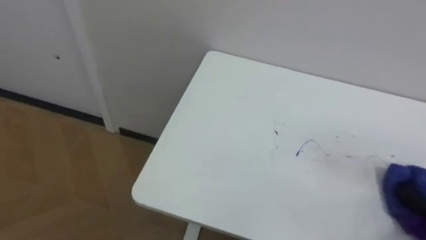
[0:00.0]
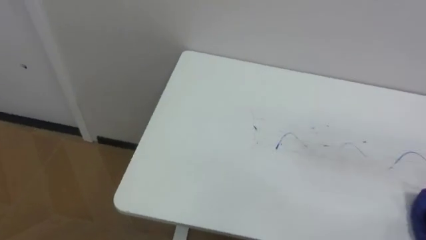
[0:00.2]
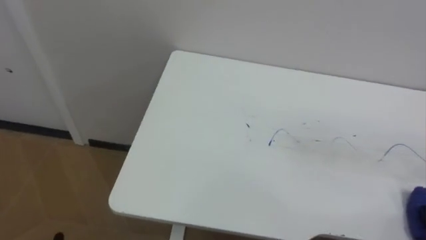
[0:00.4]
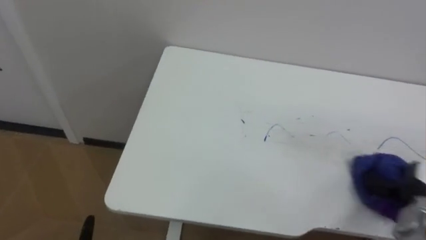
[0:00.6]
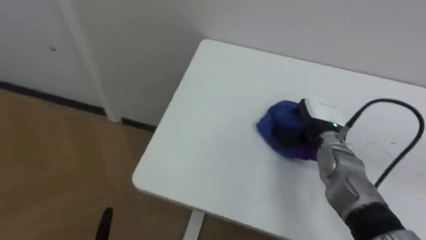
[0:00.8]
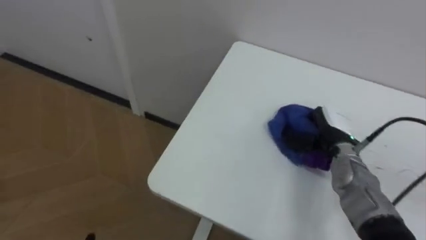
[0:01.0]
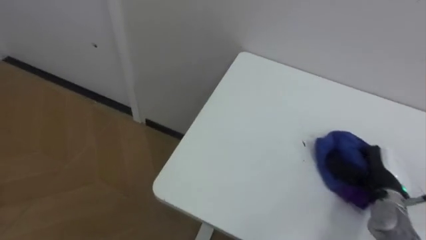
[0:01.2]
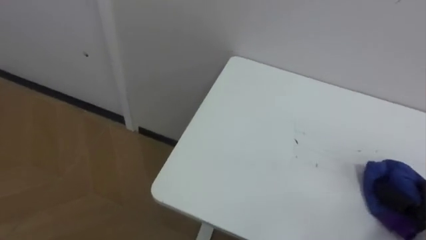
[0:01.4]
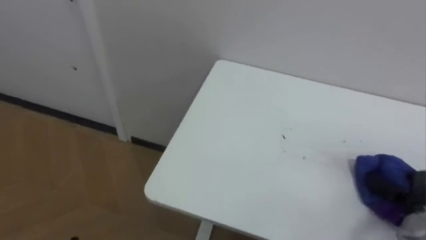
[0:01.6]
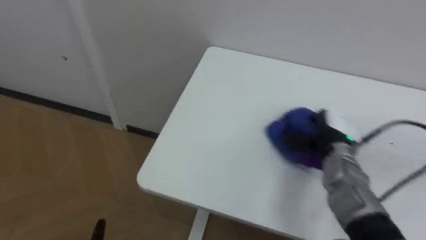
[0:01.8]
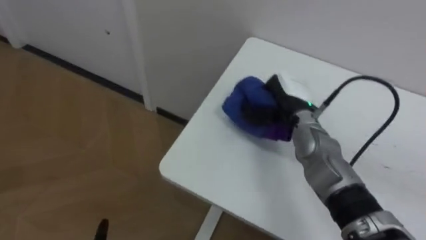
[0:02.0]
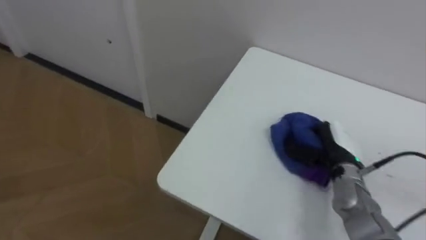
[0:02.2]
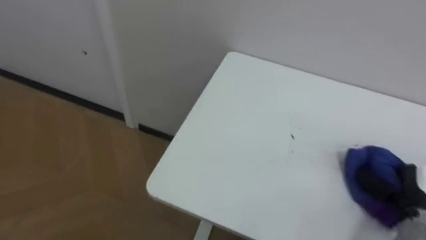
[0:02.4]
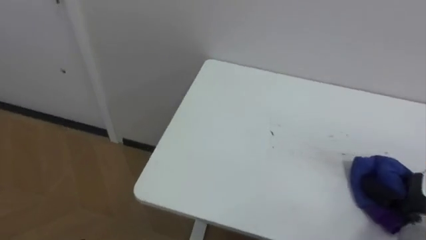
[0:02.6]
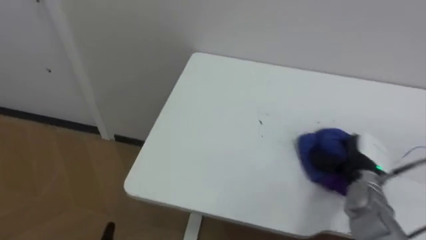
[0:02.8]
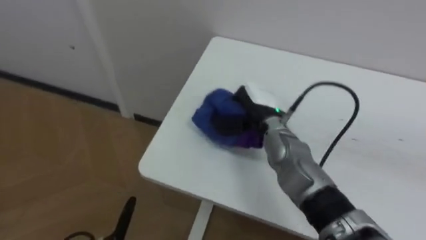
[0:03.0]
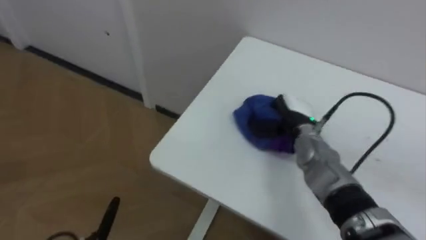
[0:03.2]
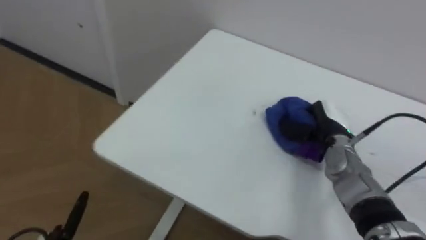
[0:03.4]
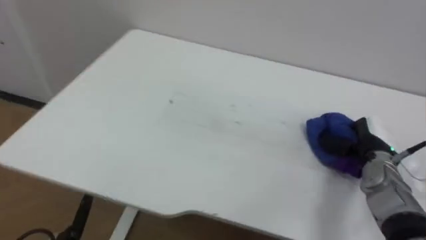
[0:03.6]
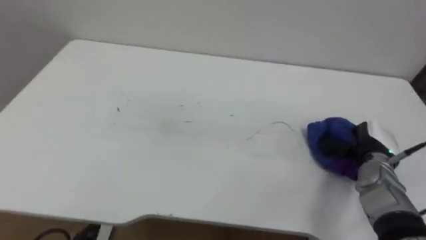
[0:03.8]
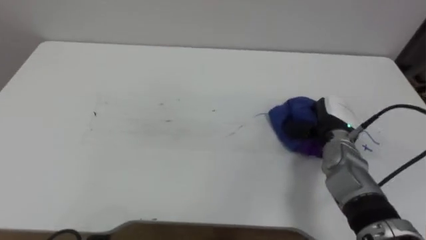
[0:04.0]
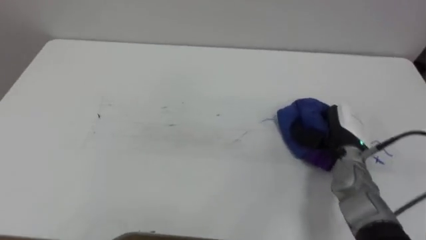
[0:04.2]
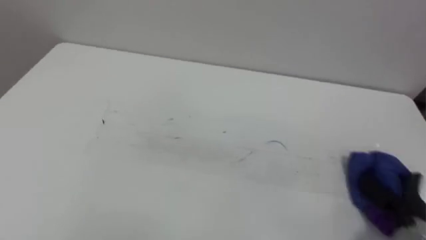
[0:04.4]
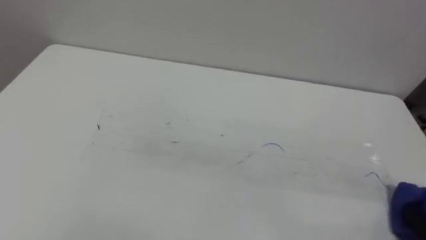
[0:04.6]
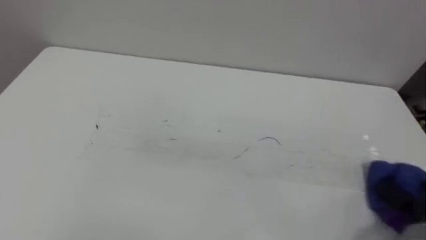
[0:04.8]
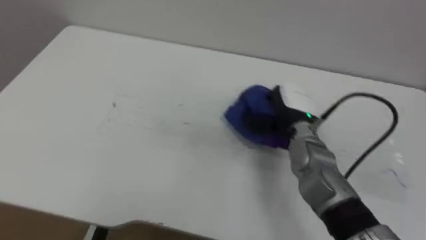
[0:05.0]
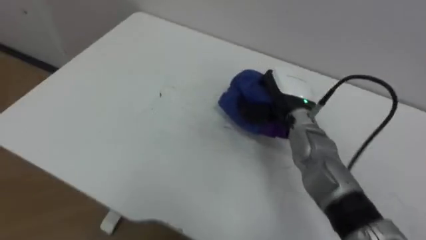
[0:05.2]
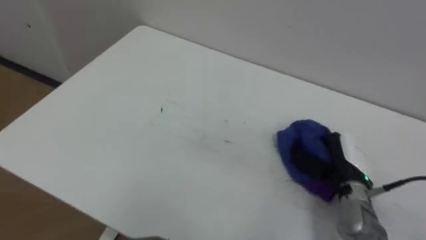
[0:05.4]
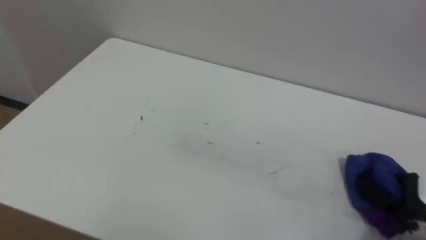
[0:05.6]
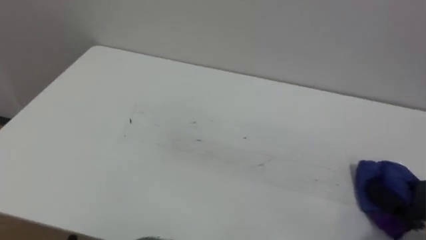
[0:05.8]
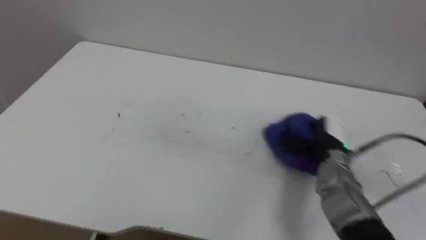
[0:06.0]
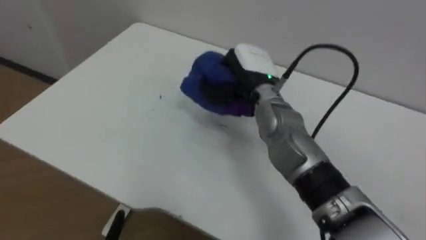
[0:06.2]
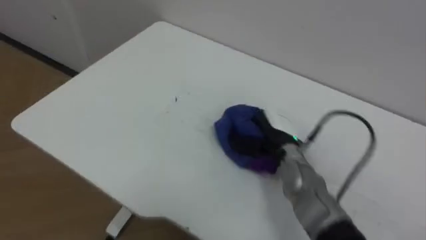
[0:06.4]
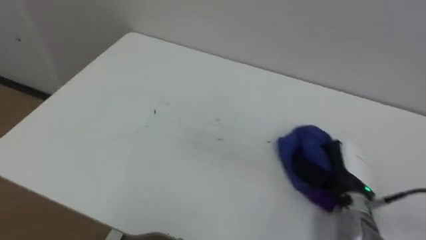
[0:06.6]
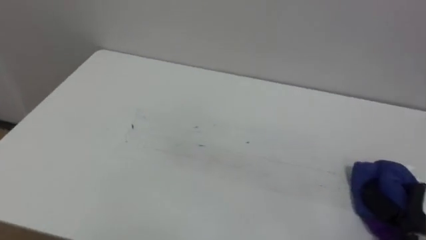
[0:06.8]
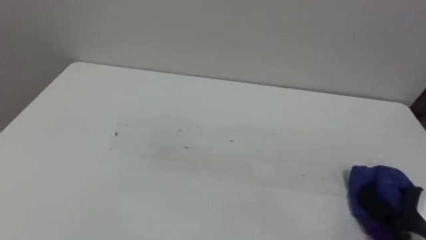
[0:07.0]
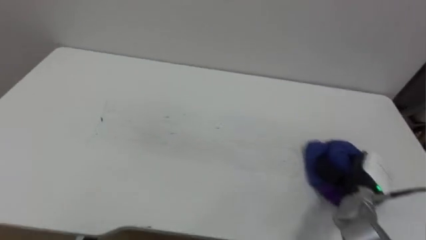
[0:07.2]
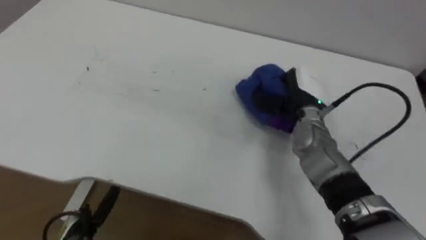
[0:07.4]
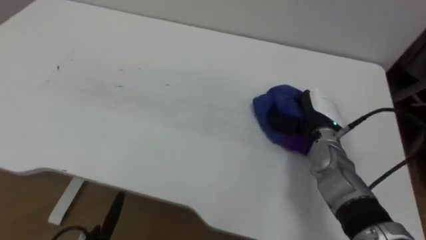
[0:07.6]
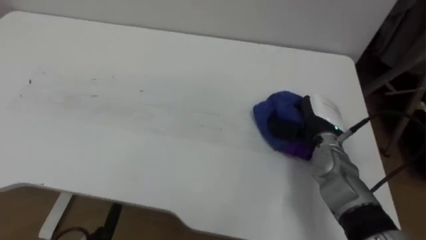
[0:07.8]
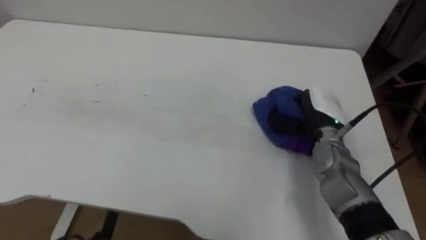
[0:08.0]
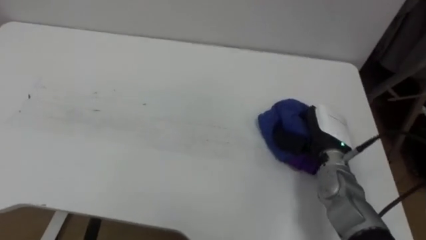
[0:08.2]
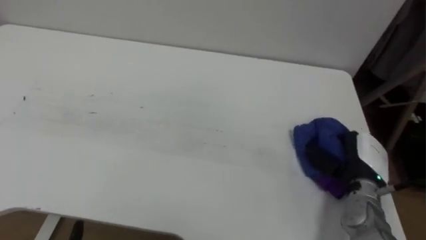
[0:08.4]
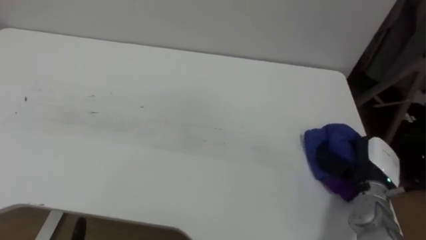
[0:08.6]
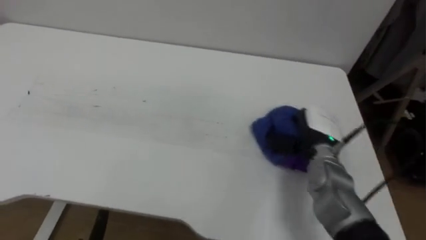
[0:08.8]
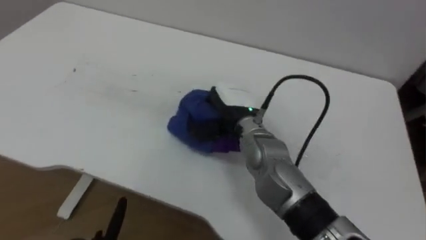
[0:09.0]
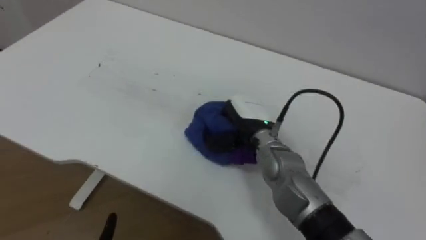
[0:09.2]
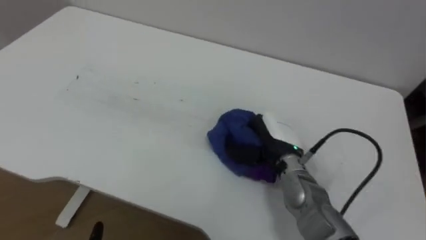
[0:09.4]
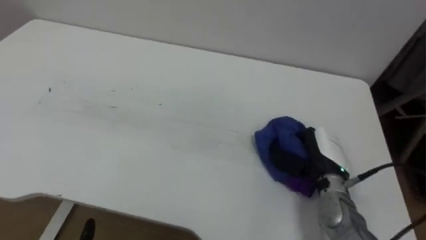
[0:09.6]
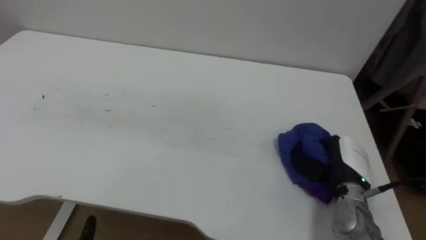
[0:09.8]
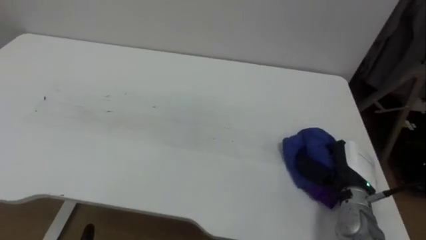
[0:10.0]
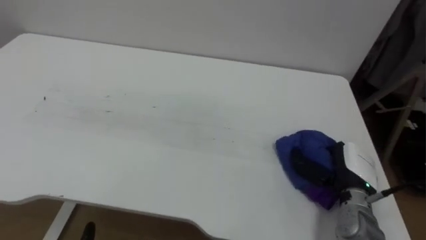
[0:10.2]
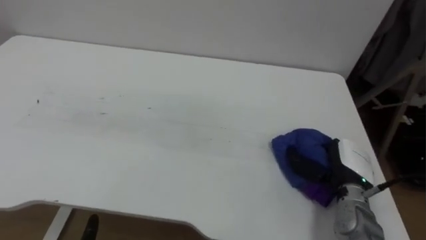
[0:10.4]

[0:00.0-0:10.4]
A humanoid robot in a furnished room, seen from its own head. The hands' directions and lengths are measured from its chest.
Task of the whole recording: Wipe the blue pen marks off the table with the rag.
0:01.4 to 0:03.0: The right hand moves left and right over approximately 30 cm, changing direction 2 times.
0:03.0 to 0:04.4: The right hand moves left and right over about 30 cm, changing direction 2 times.
0:06.0 to 0:07.4: The right hand goes left and right, approximately 30 cm each way, reversing 2 times.
0:07.4 to 0:09.0: The right hand goes some 15 cm to the left.
0:09.0 to 0:10.4: The right hand shifts approximately 25 cm to the right and downward.

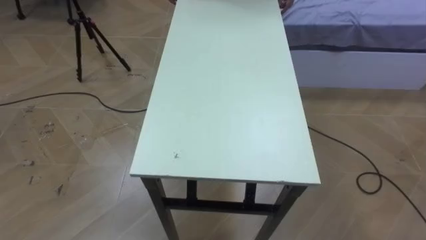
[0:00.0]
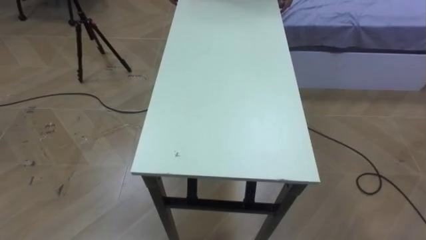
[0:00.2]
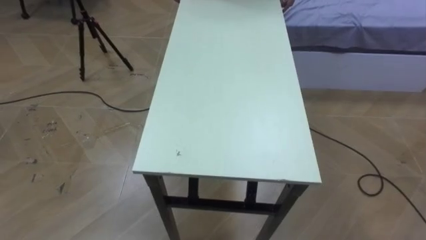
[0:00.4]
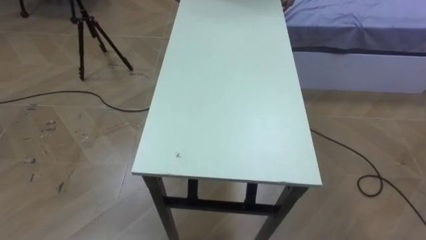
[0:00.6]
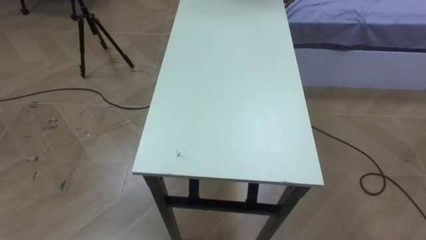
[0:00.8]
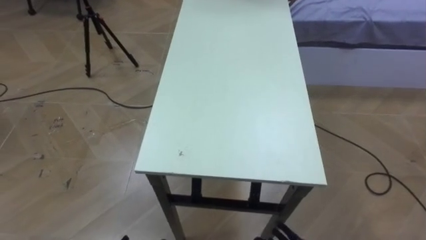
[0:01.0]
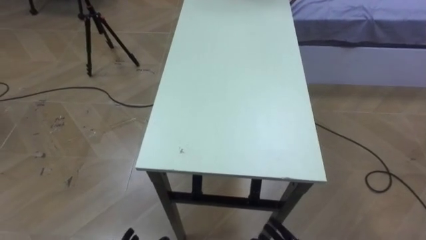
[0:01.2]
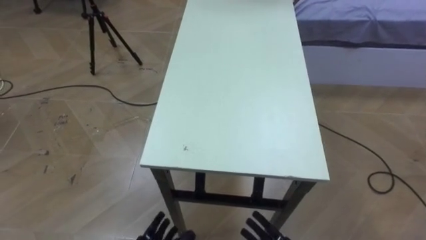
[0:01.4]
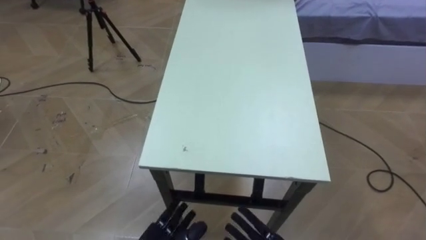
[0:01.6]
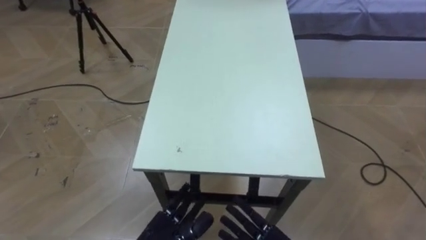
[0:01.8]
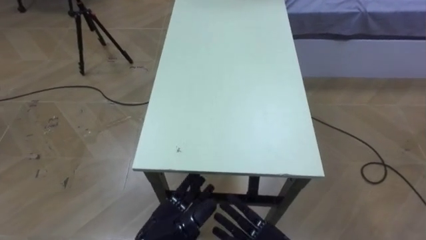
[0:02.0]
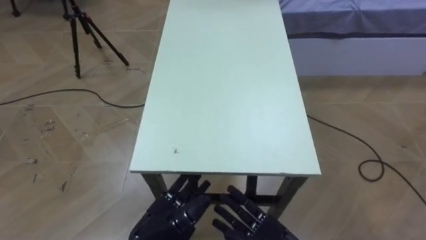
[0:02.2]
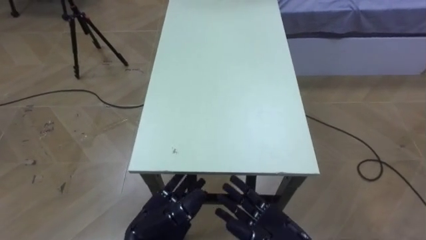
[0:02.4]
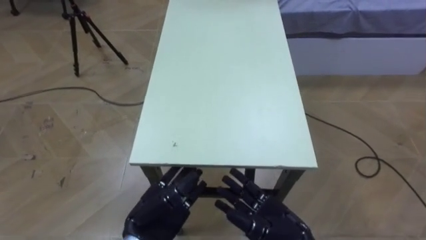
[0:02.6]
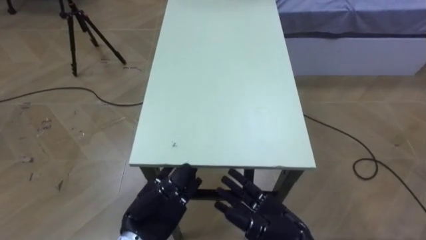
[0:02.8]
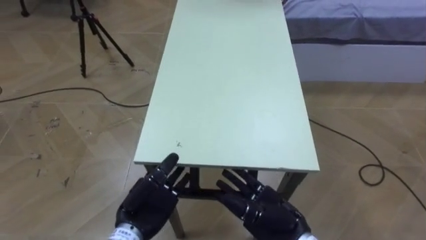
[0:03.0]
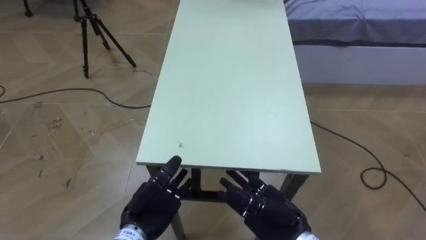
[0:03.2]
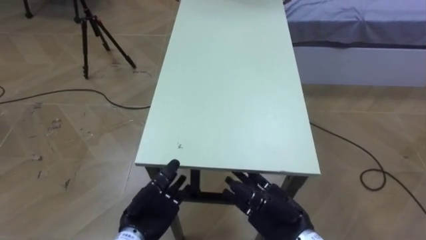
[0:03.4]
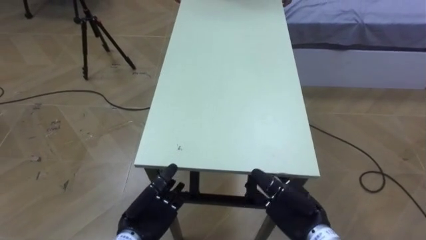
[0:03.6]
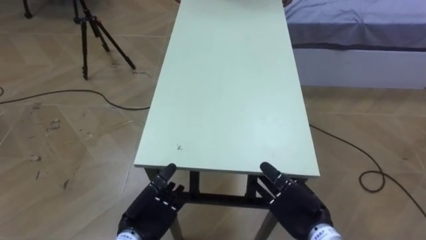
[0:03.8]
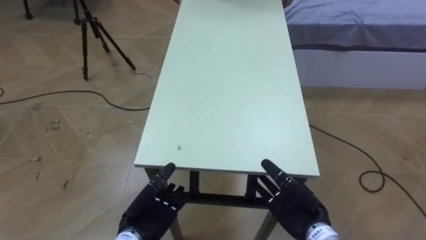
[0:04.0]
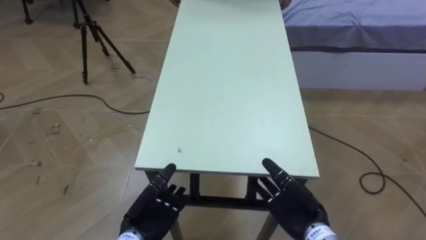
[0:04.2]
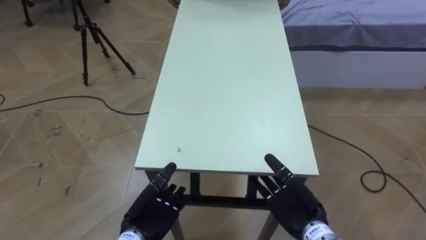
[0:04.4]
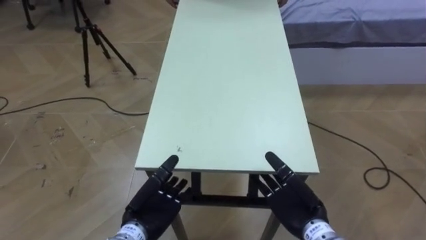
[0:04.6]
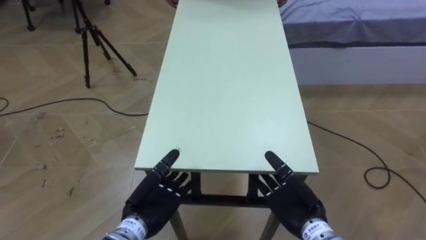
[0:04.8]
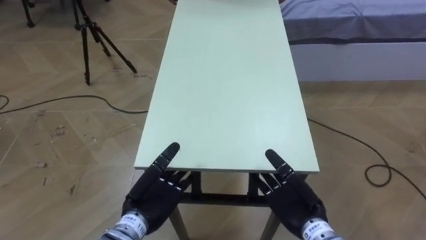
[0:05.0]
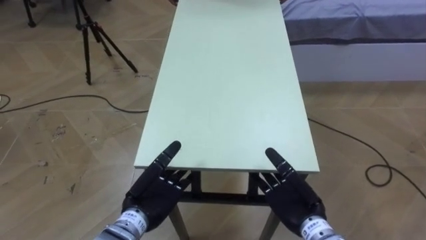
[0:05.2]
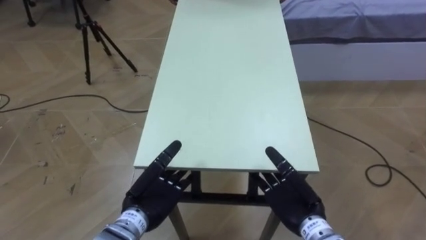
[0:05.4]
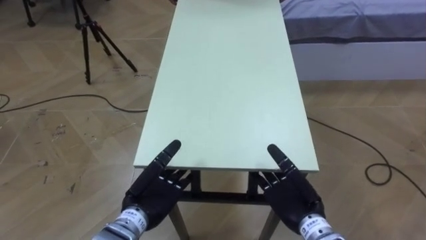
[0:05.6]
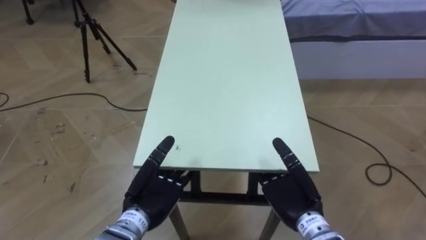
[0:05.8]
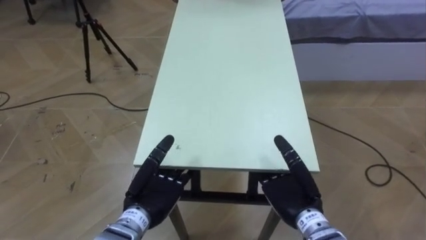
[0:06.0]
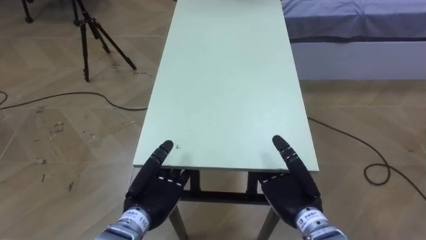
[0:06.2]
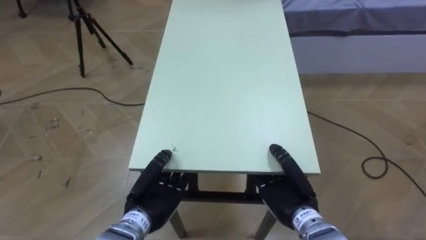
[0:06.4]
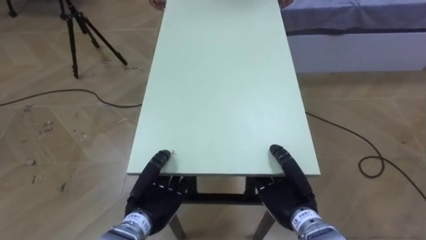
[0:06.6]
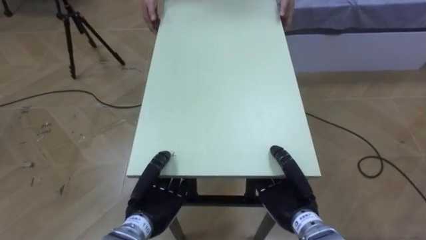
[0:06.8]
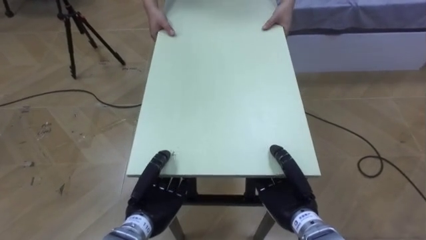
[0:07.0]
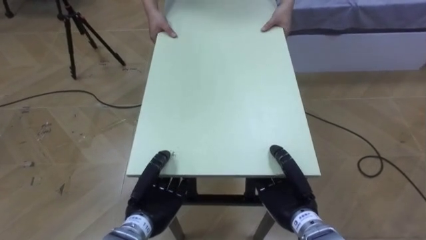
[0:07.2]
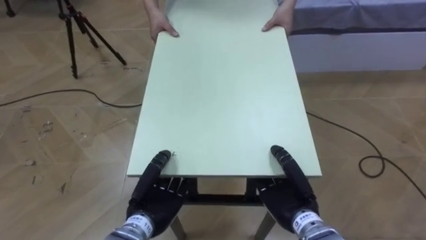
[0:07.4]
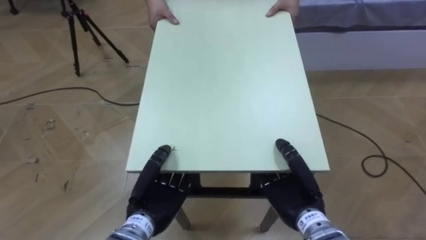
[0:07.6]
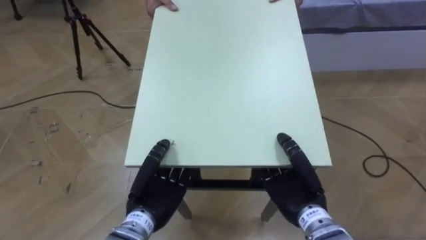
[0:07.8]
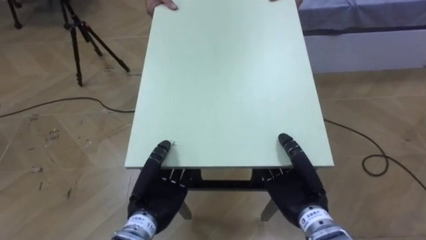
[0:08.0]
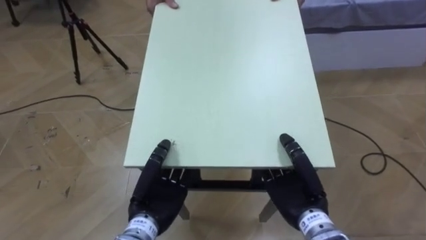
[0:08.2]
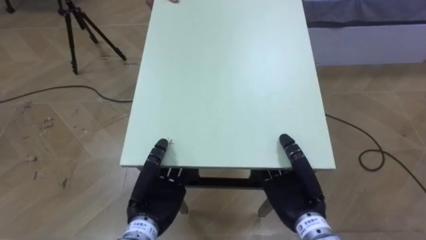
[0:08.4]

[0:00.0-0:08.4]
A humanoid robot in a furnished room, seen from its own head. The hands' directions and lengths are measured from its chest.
Task of the whole recording: Move the table to the back left with someone.
0:02.8 to 0:04.2: The right hand heads to the right, covering some 5 cm, while the left hand goes approximately 5 cm downward.
0:04.2 to 0:05.6: The left hand shifts by approximately 5 cm.
0:05.6 to 0:07.0: The left hand closes. The right hand closes.
